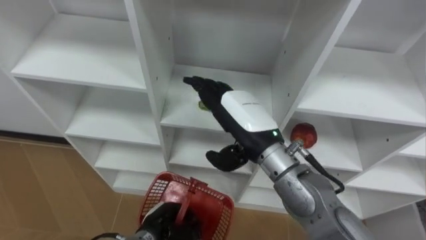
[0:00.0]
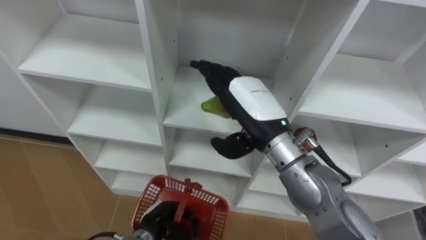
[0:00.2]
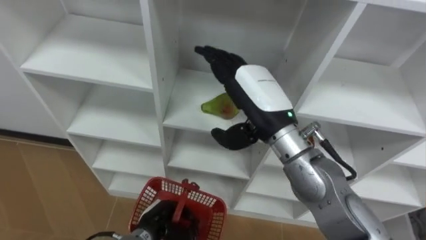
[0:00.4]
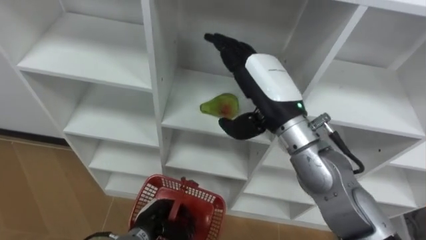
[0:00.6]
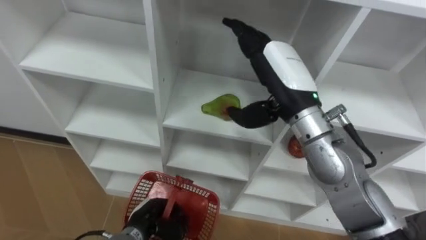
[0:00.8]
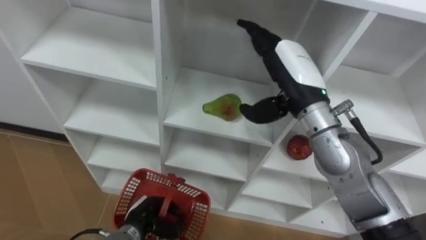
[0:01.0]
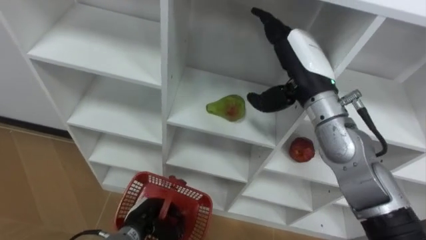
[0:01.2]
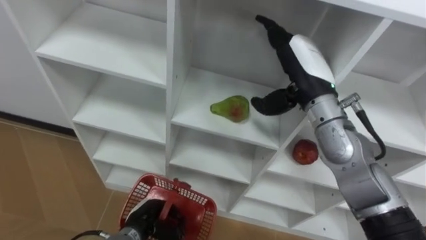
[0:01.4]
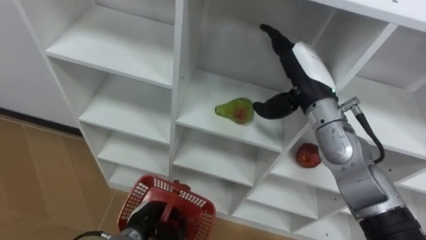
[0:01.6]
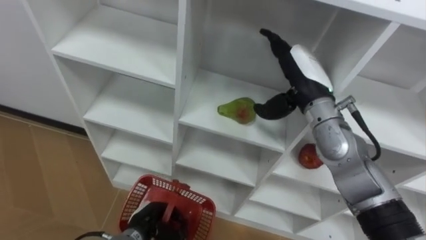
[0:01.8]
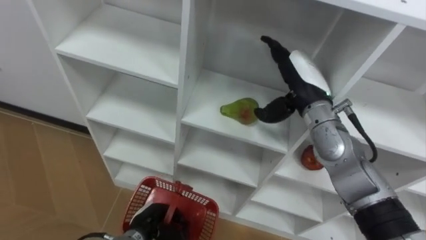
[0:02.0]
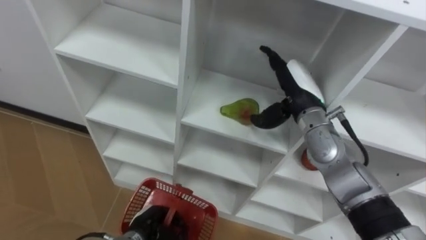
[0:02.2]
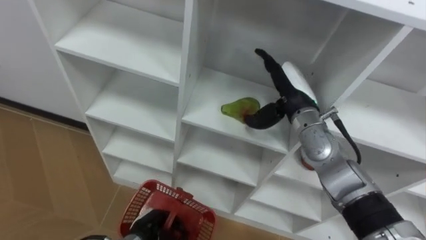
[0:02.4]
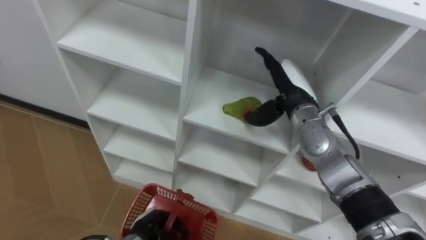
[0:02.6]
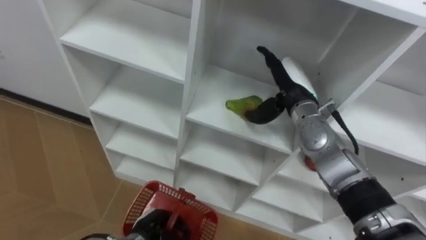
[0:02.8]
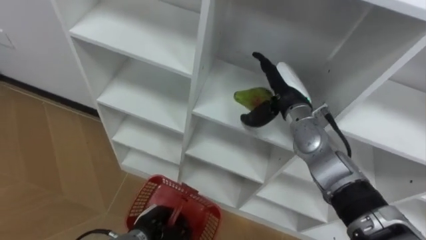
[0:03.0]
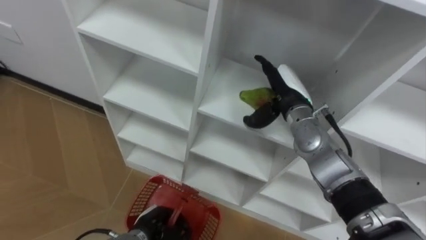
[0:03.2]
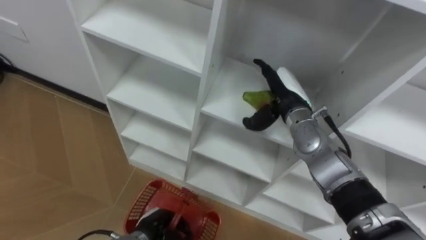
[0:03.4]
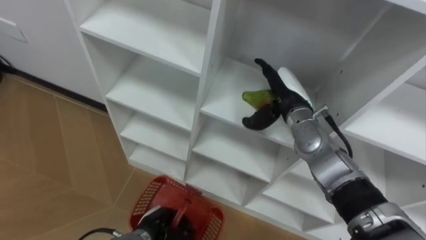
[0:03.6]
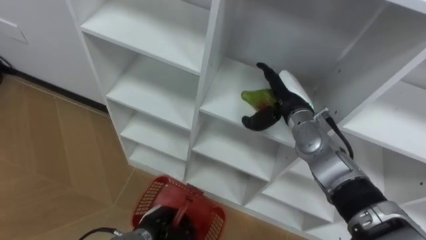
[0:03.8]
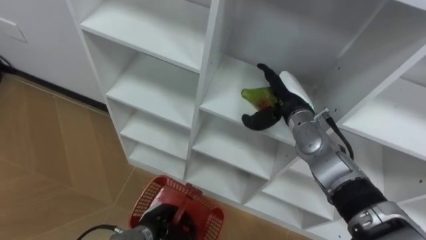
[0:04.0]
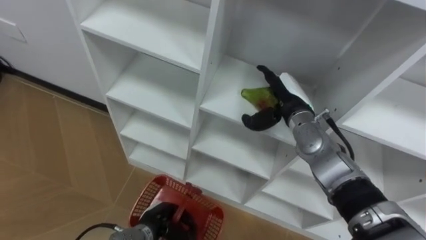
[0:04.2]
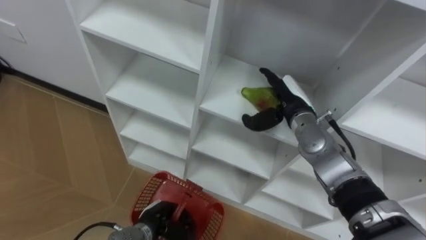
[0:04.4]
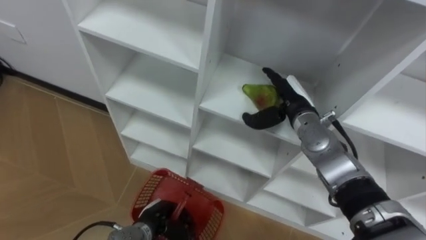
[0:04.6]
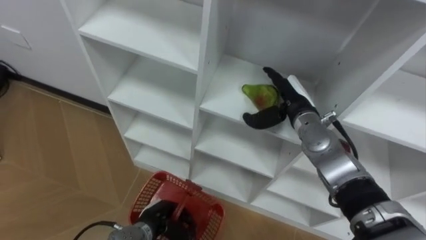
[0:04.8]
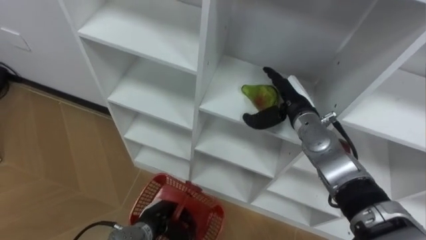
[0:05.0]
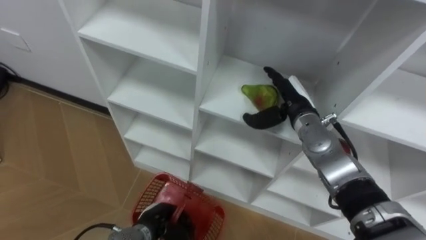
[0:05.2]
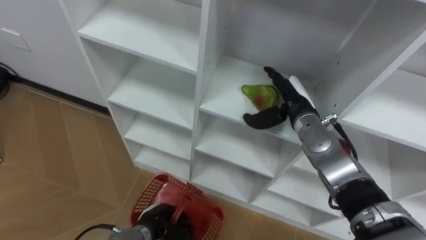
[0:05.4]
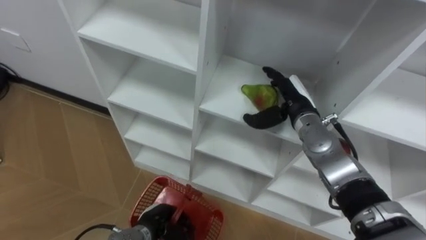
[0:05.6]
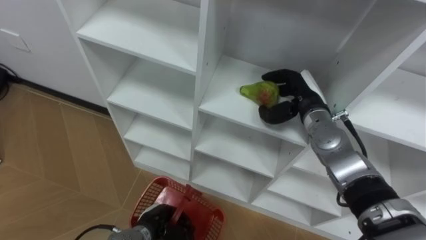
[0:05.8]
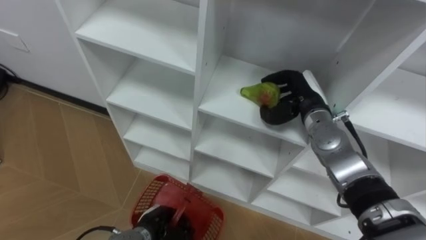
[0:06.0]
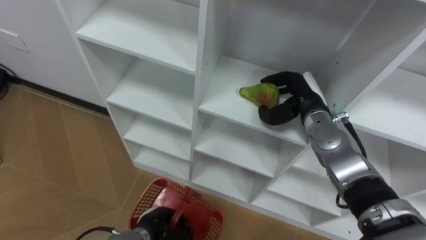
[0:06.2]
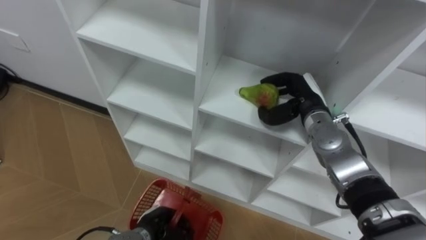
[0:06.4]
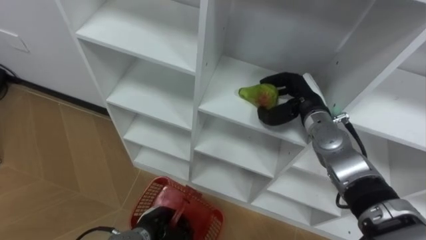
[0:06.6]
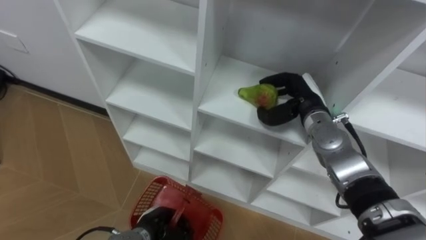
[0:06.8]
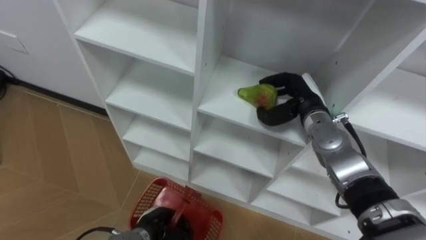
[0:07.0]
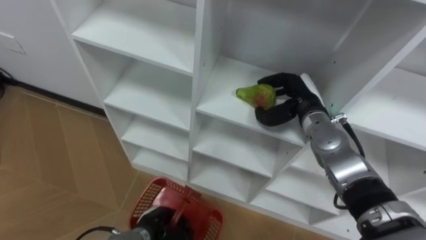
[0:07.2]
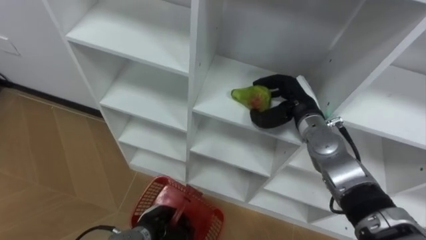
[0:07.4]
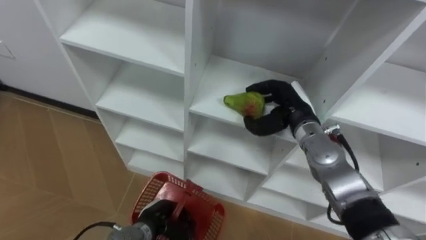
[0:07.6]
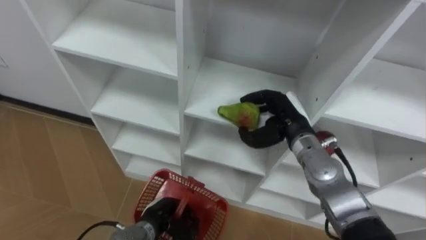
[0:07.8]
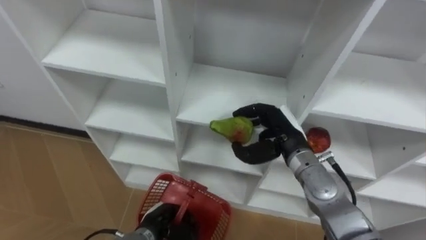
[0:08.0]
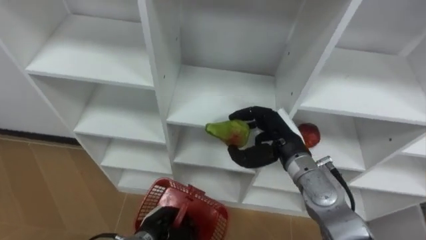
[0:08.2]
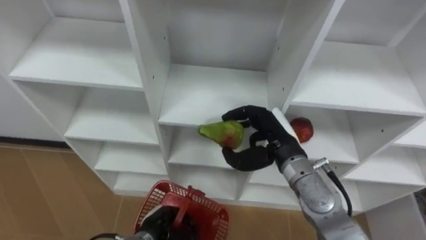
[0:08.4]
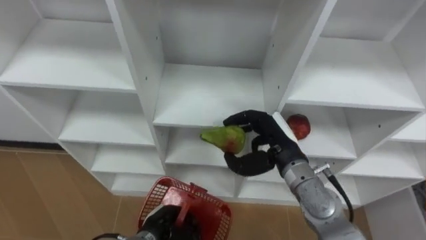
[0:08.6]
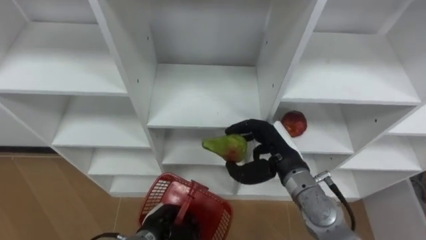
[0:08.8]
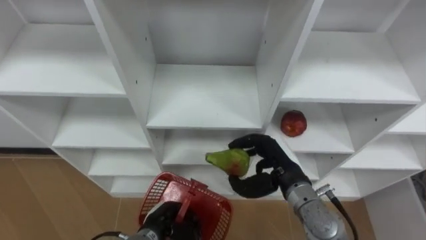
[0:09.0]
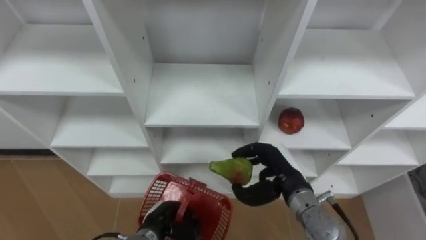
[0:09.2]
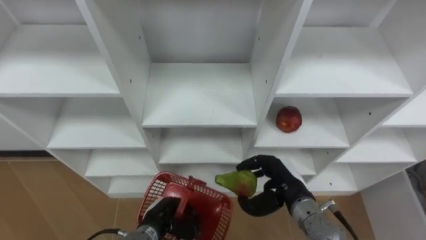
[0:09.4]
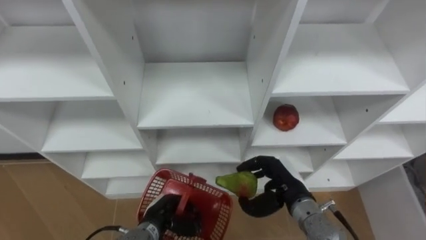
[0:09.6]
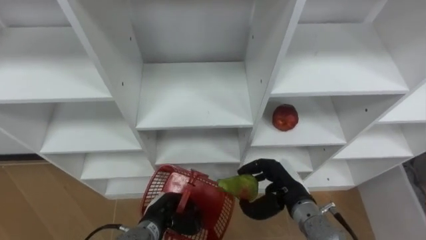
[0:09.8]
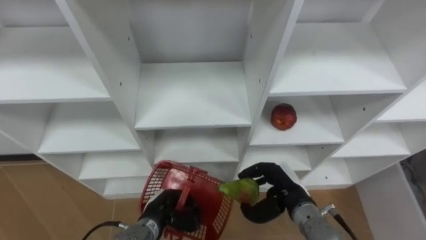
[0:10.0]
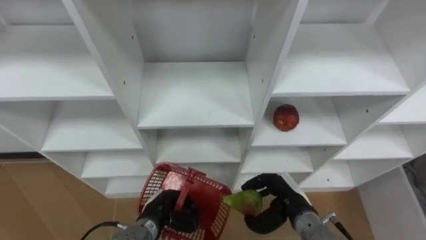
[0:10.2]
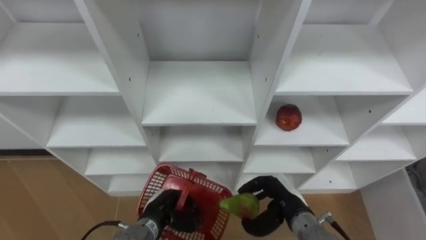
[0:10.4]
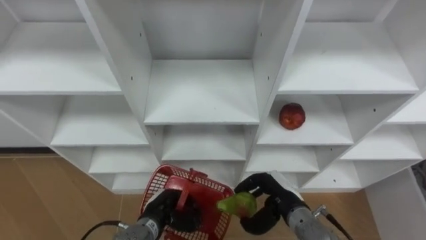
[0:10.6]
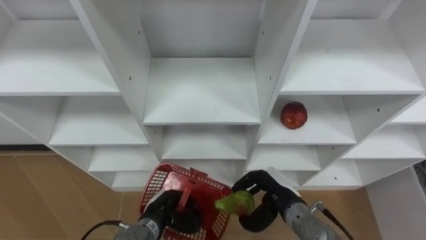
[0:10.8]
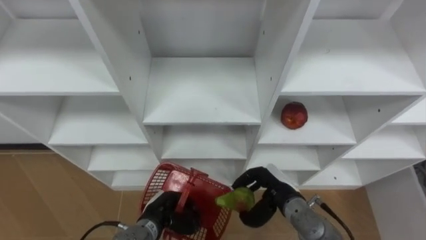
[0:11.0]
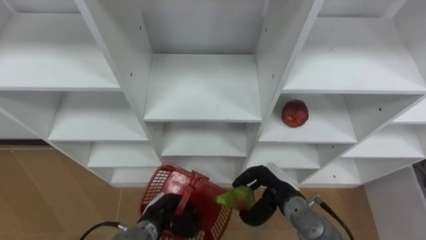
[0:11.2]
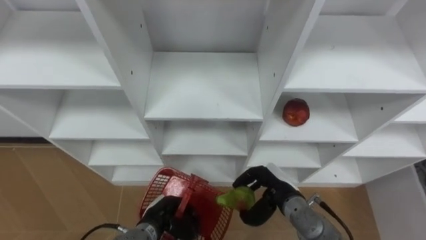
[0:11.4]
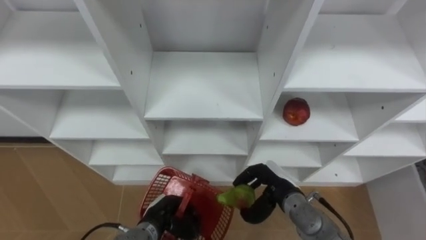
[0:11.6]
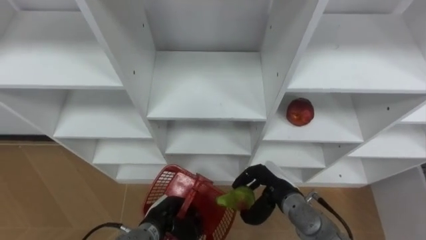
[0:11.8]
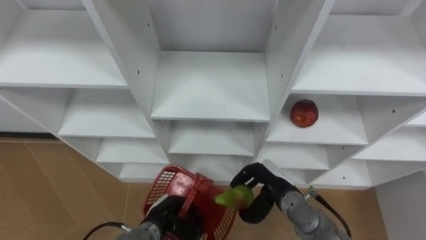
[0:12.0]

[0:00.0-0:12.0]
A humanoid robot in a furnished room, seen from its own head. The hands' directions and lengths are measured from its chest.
Task of the whole recording: Hold the basket and collect the fruits from 3 different cells of the closet into it.
0:00.0 to 0:01.6: The right hand heads to the right and forward, covering approximately 10 cm.
0:01.6 to 0:03.0: The right hand moves downward, some 5 cm.
0:04.4 to 0:06.0: The right hand closes its fingers.
0:07.6 to 0:09.0: The right hand goes approximately 10 cm backward.
0:09.0 to 0:10.4: The right hand is displaced downward by approximately 10 cm.

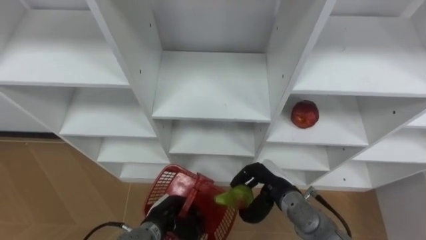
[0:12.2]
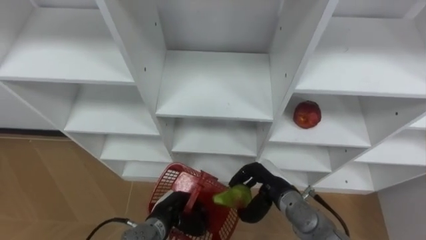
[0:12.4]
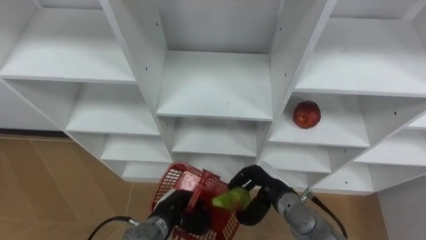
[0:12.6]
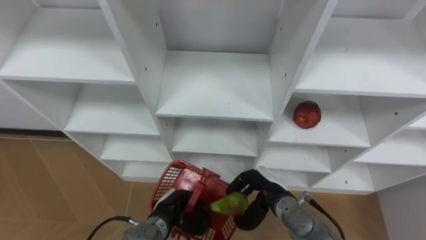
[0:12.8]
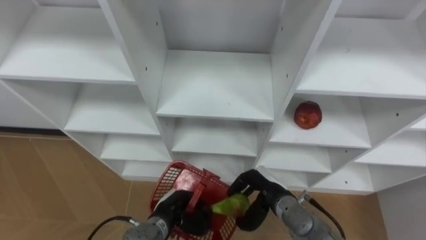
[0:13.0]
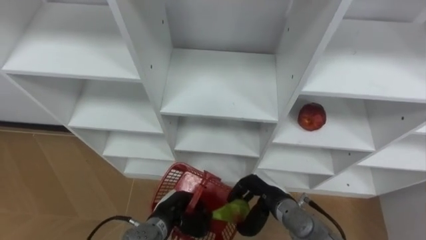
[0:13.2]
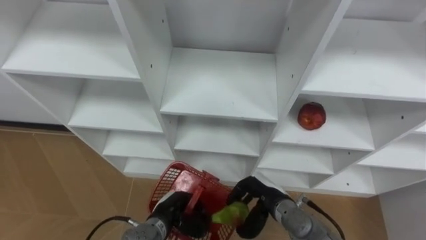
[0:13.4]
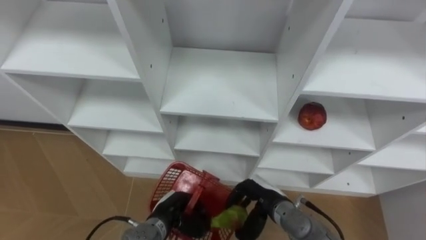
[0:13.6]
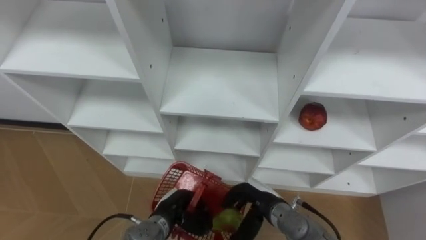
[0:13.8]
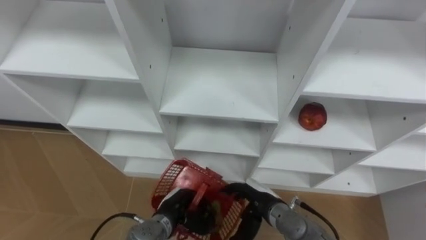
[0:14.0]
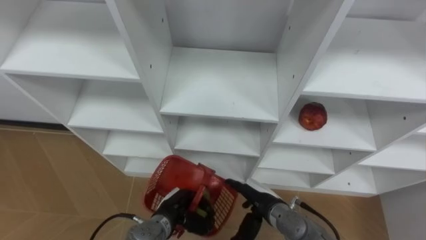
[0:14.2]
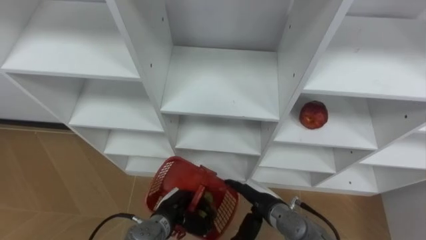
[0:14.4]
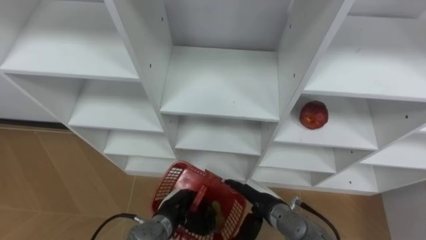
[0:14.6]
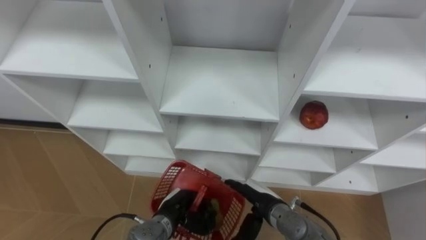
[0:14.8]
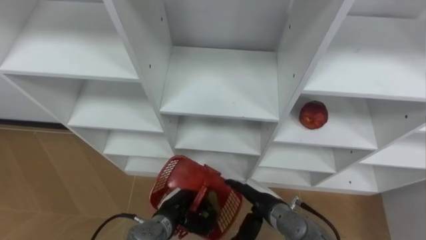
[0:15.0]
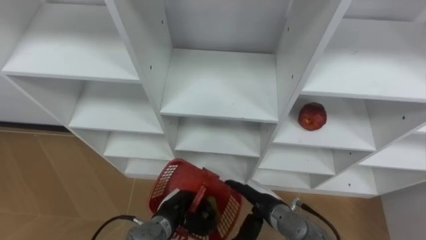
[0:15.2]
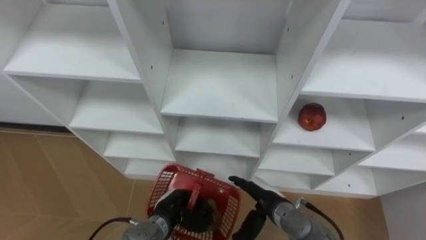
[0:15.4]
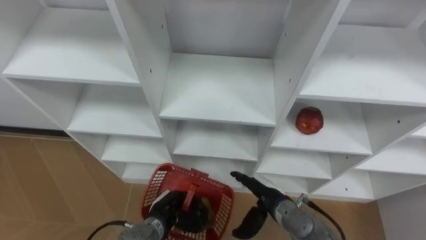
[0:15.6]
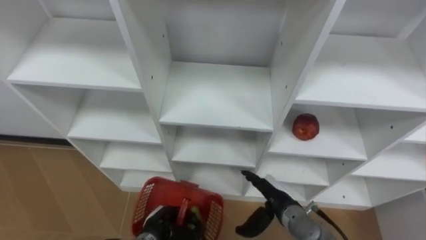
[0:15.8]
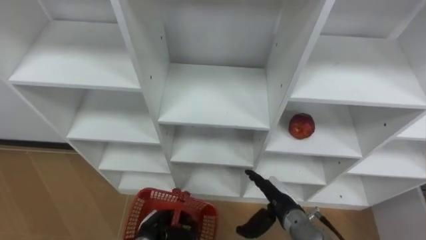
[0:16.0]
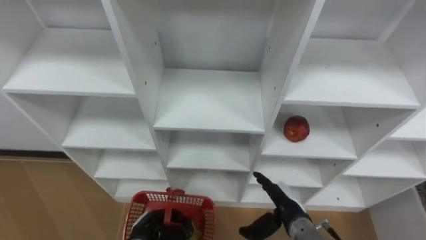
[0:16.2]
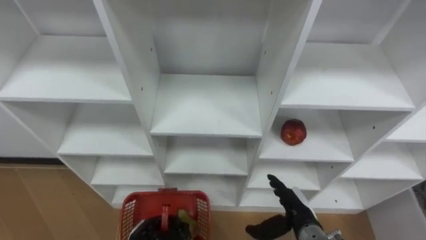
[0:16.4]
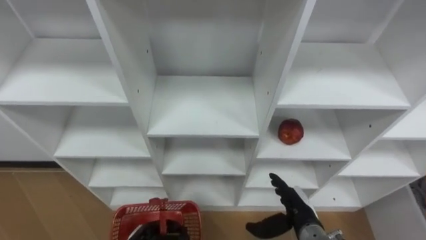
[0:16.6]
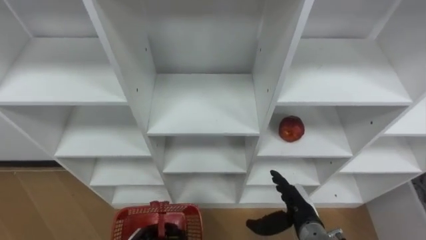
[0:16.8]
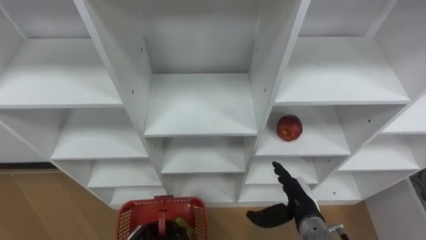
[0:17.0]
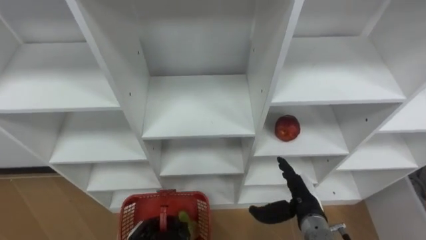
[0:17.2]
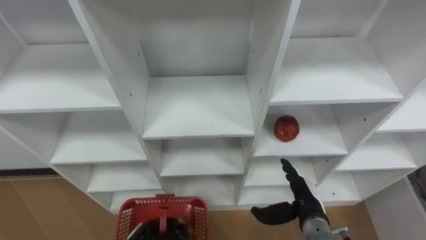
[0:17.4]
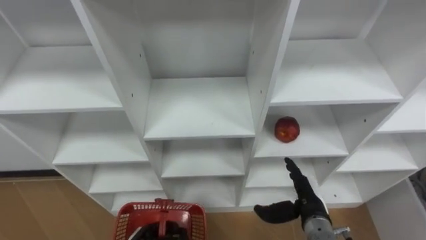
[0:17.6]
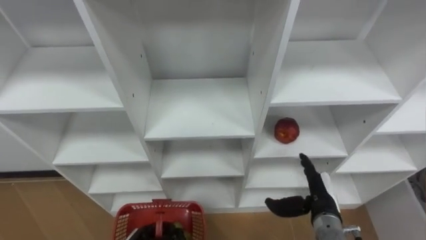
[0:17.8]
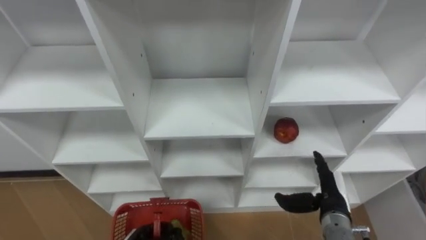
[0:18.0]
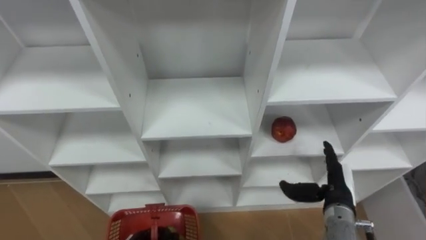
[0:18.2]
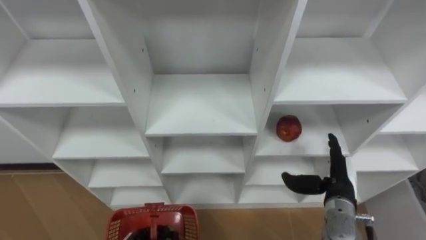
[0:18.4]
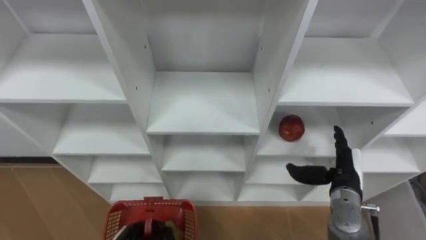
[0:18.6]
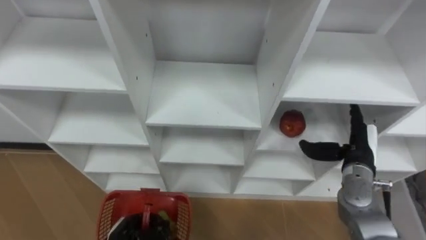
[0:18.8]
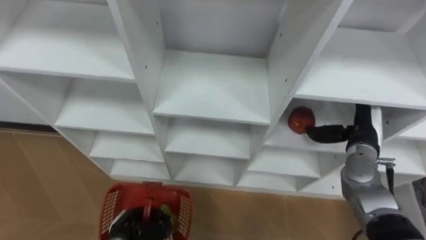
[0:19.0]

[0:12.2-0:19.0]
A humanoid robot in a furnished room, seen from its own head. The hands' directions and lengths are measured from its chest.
Task of the whole recording: Hold the basket and collect the fruits from 3 different cells of the closet into it.
0:13.6 to 0:15.0: The right hand opens its fingers.
0:15.0 to 0:16.2: The left hand moves to the left, some 5 cm, while the right hand shifts by about 5 cm.
0:17.6 to 0:19.0: The right hand goes some 15 cm forward, to the right and upward.
